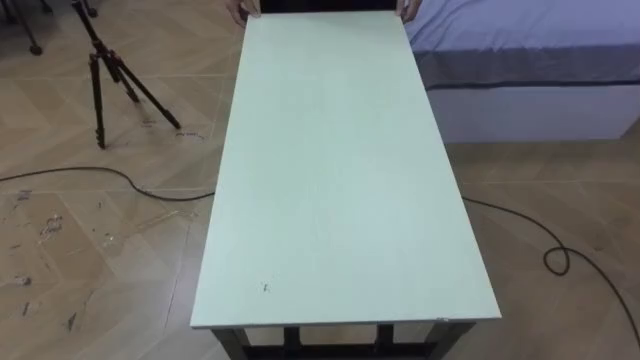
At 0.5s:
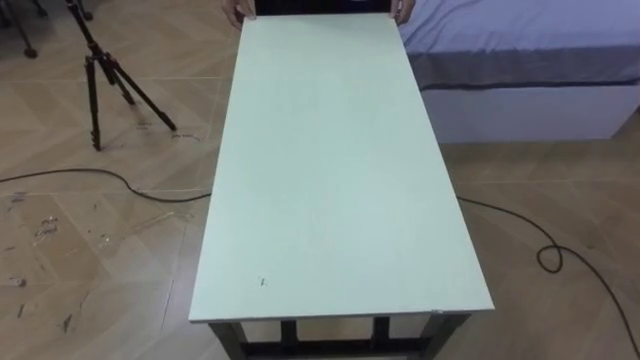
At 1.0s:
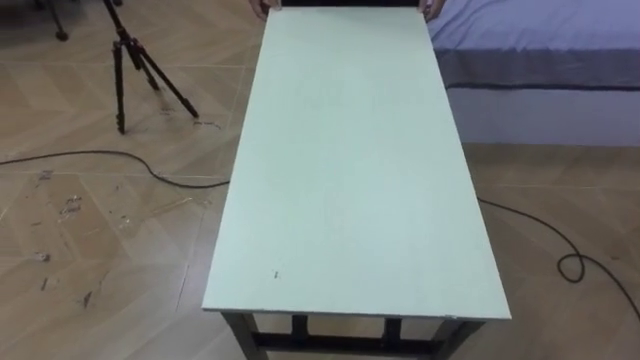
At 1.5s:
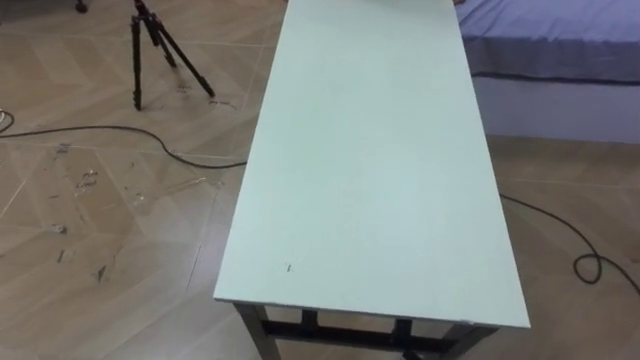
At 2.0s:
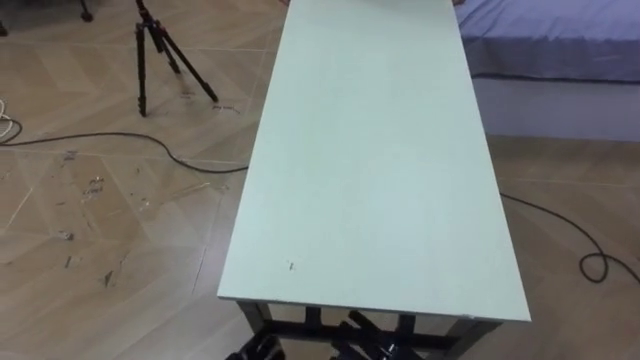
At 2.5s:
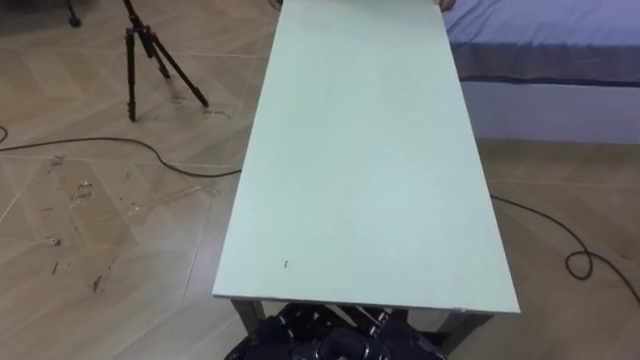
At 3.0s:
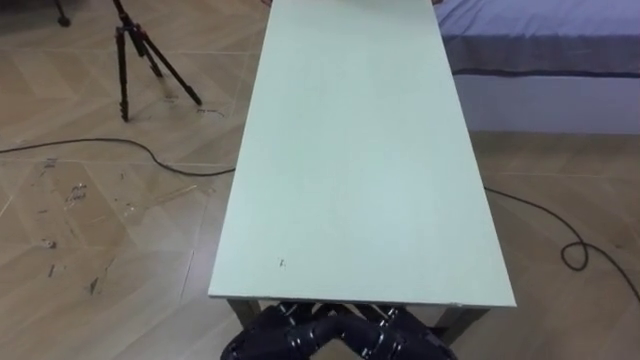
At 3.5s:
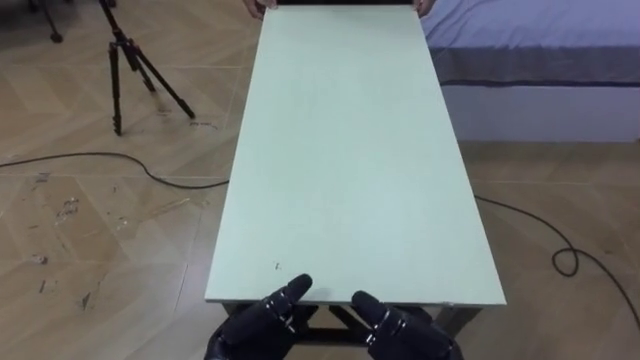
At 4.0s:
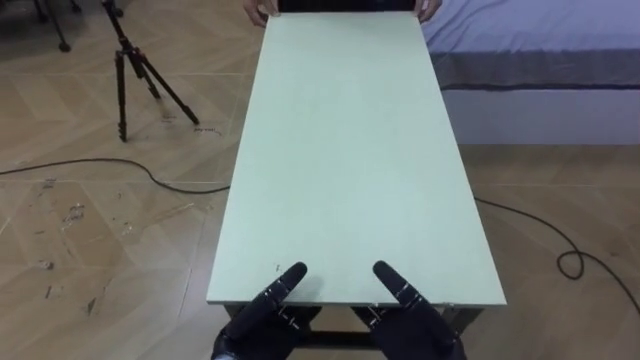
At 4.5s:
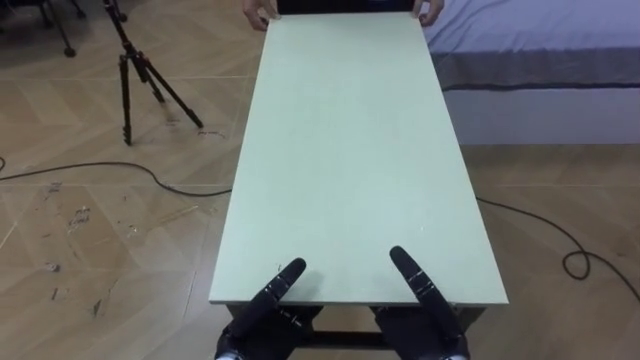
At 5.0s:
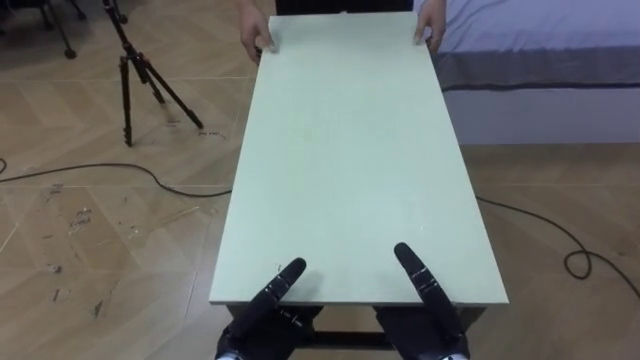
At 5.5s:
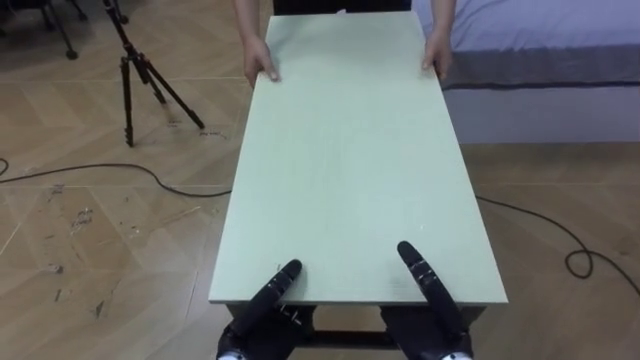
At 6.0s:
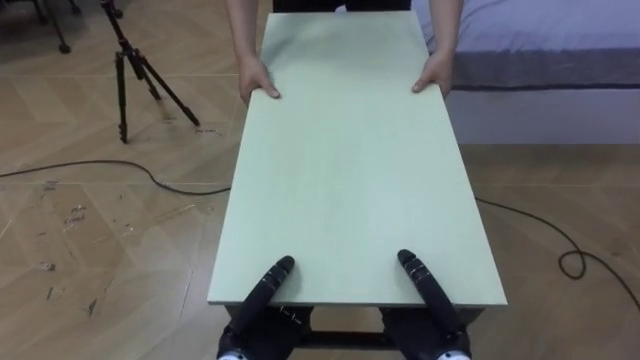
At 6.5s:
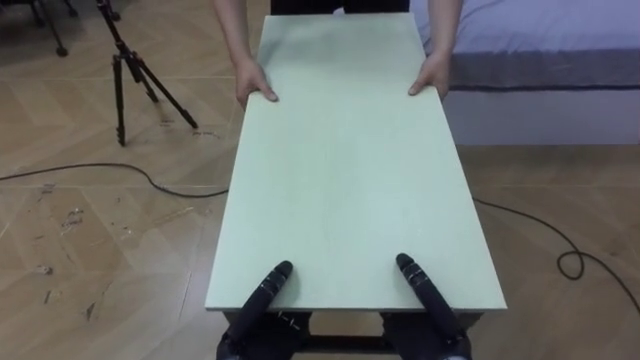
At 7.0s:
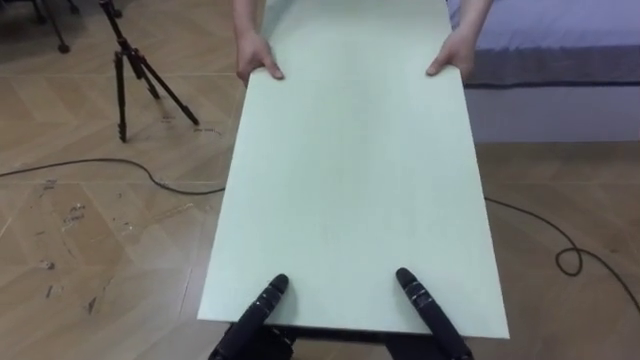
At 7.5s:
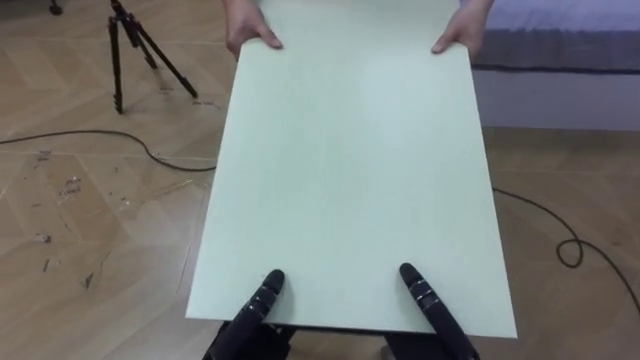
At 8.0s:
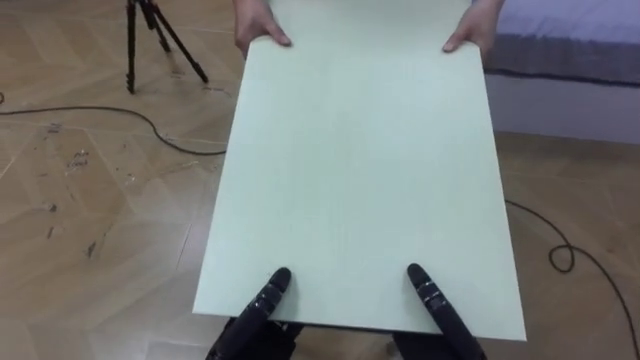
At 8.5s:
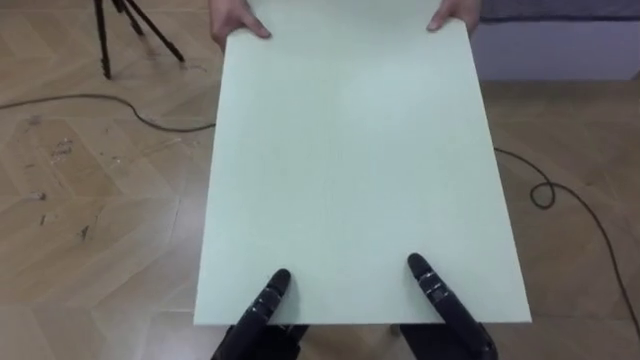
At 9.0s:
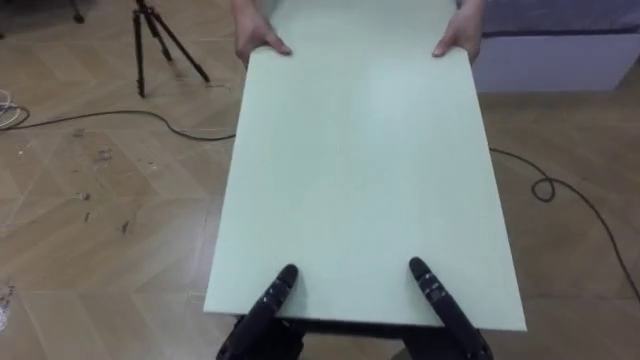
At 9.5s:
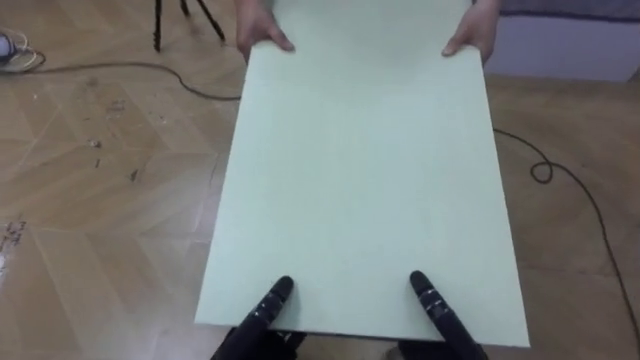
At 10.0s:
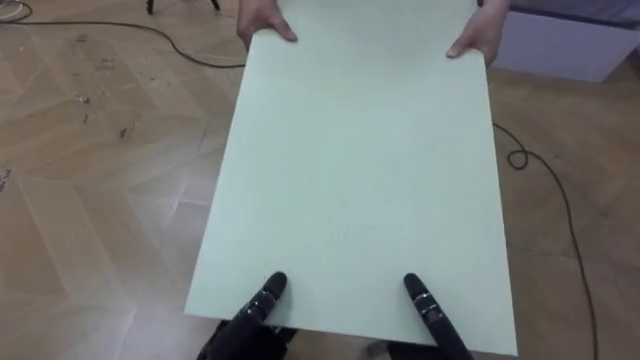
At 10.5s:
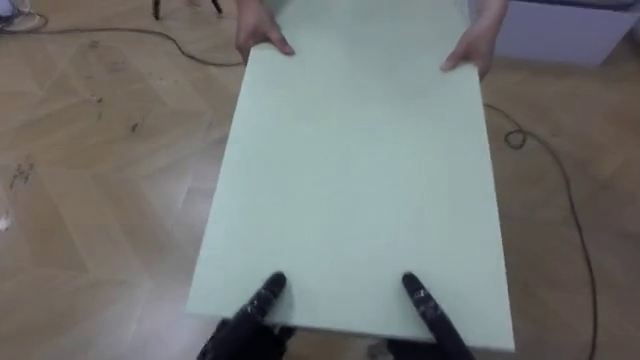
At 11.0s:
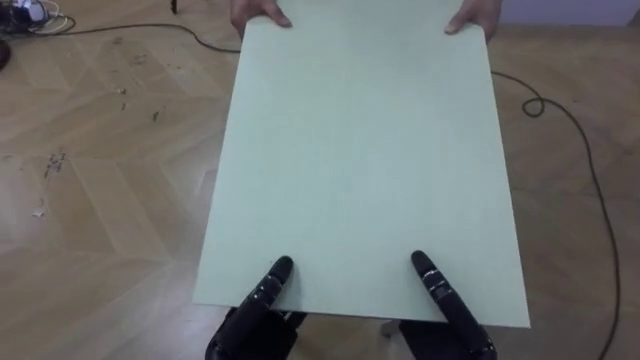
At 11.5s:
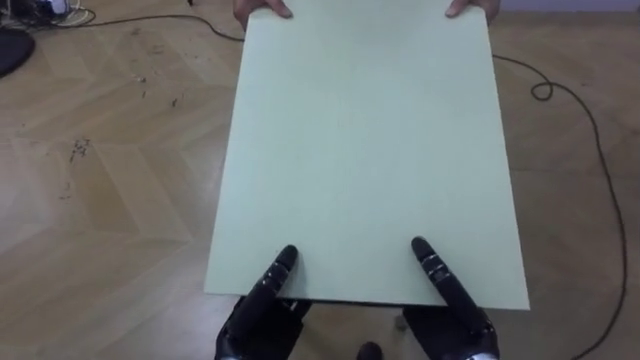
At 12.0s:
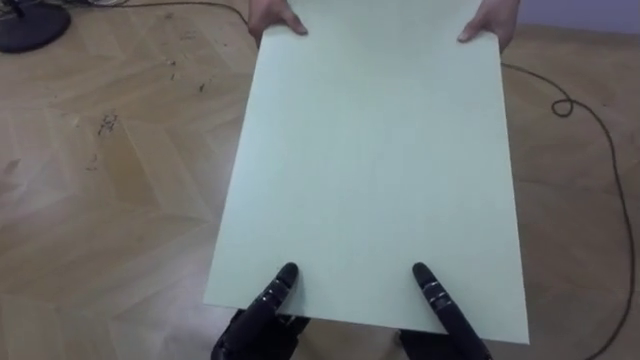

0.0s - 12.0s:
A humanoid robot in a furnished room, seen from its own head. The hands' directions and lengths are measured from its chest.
Task of the whole recording: Move the table to the back left with someone.
4.0s - 6.0s: The right hand closes up, while the left hand closes its fingers.

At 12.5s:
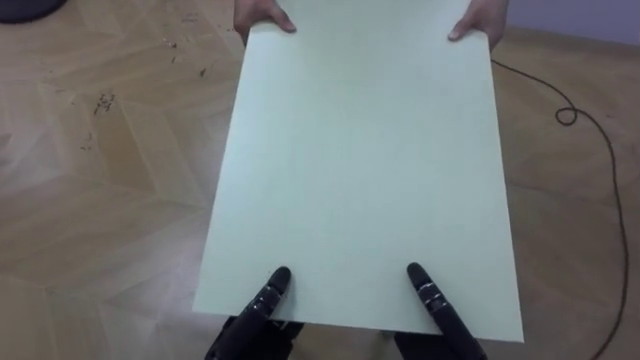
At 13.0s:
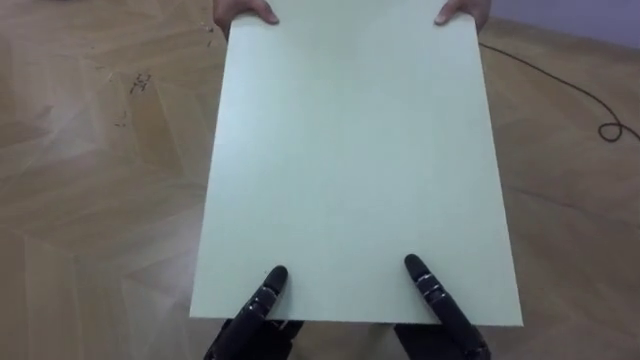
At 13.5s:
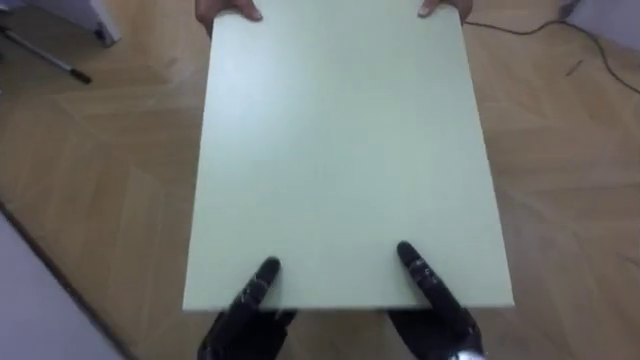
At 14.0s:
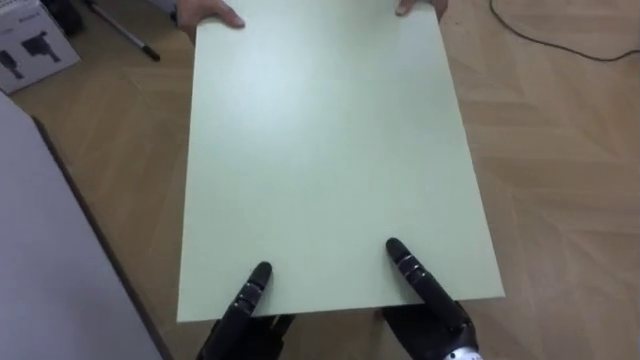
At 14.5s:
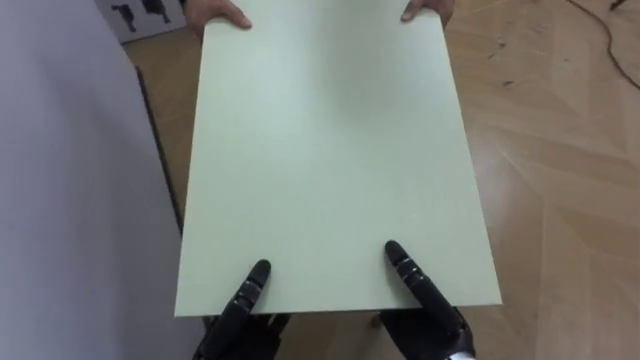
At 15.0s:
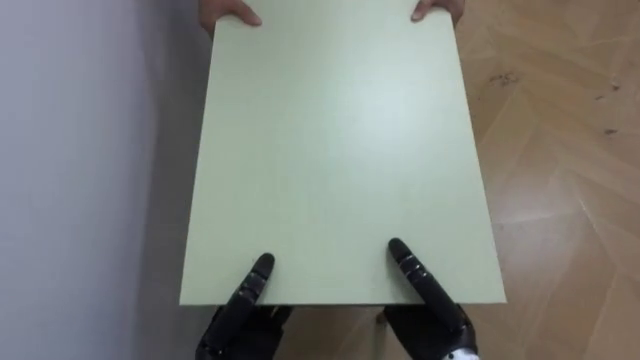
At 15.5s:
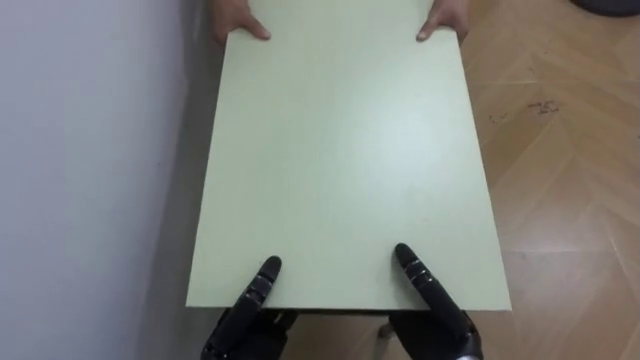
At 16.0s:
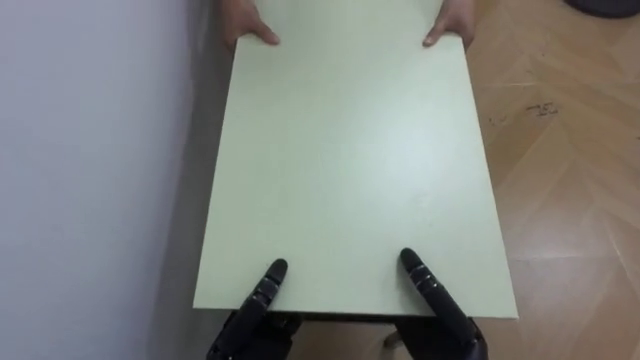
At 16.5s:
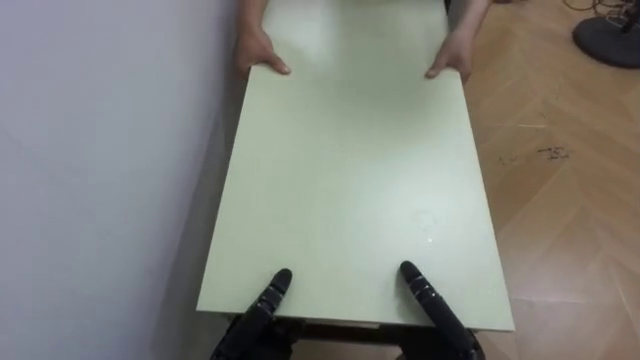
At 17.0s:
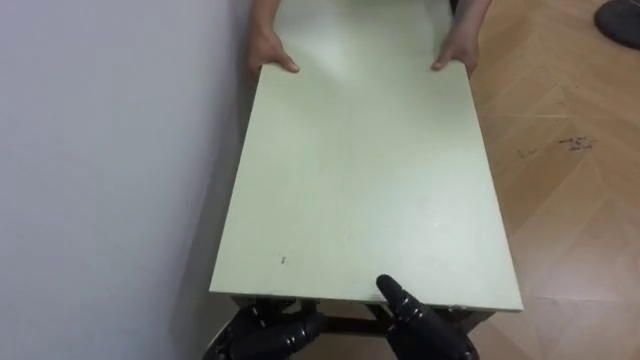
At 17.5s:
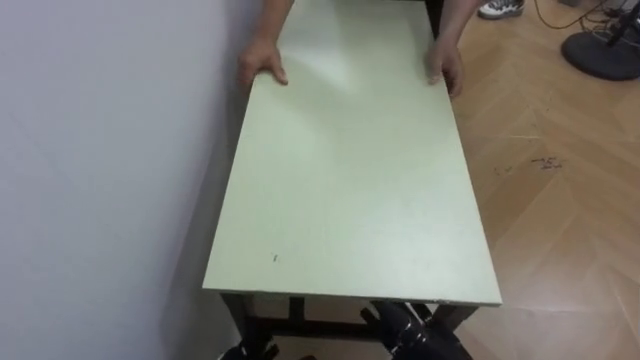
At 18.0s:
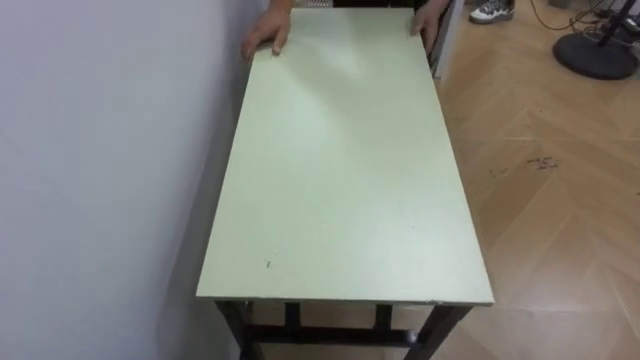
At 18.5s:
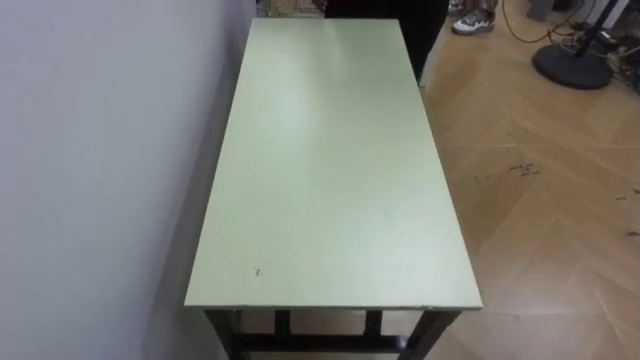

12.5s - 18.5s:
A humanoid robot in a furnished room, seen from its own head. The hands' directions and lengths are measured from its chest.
Task of the whole recording: Move the table to the back left with someone.
12.5s - 14.5s: The robot rotates approximately 50 degrees to its left.
14.5s - 16.5s: The robot's body swings approximately 30 degrees to its left.

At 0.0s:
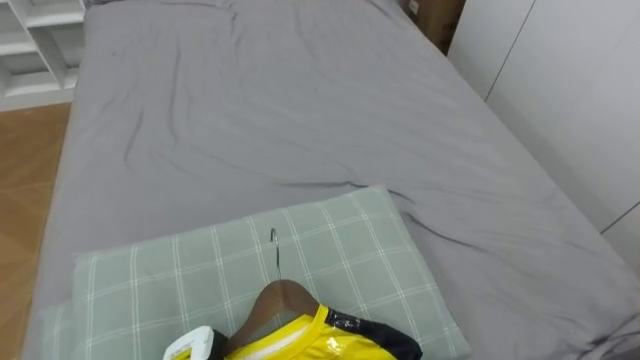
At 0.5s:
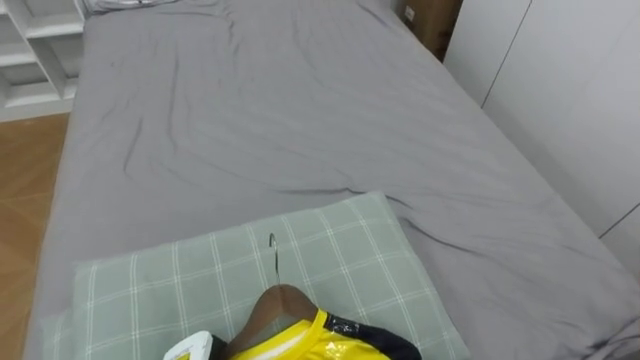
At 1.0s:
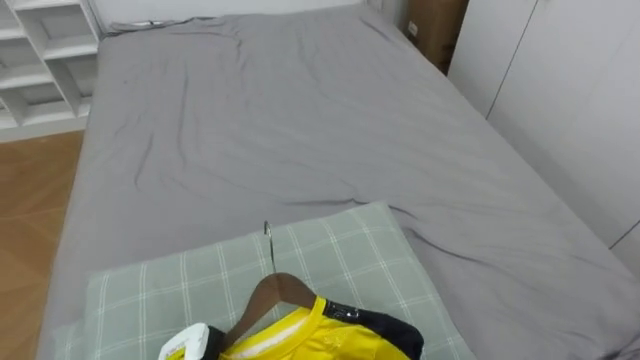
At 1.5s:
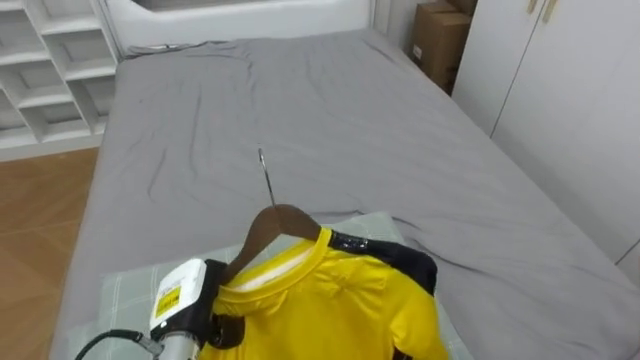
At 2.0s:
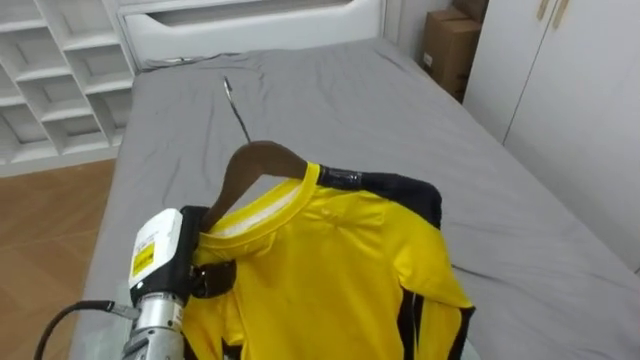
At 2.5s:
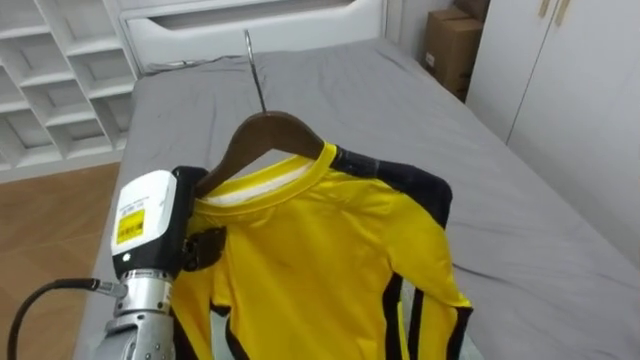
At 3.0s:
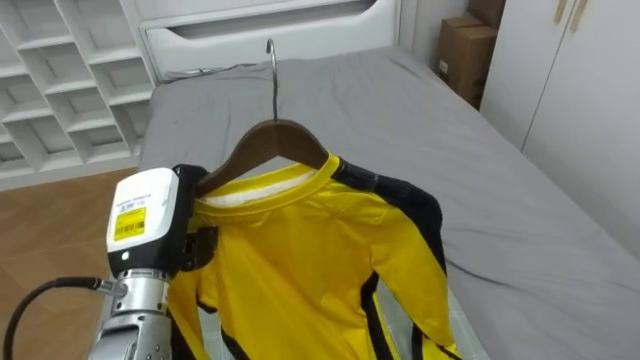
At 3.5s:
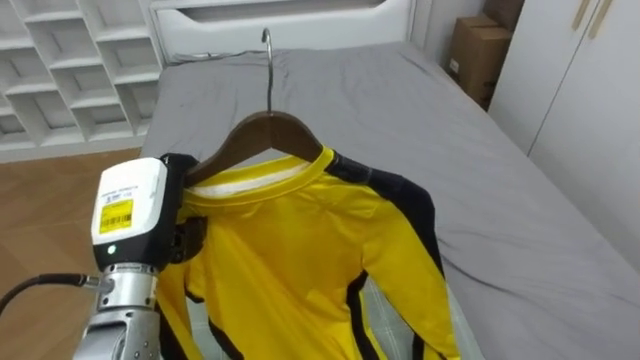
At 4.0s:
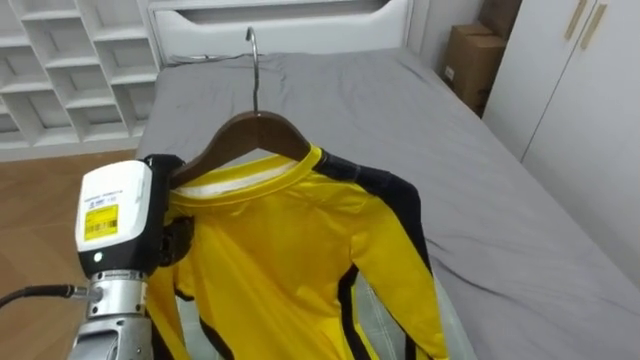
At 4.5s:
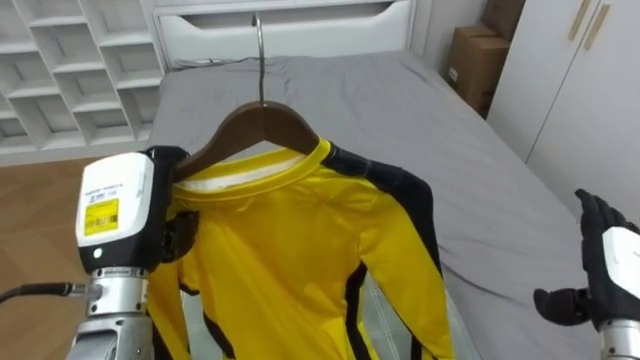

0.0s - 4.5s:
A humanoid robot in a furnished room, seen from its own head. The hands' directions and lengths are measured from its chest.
Task of the whole recording: Pick up the yellow shirt on the bed and hang it on the clothes rack on the right.
2.0s - 4.5s: The left hand goes roughly 10 cm upward.
